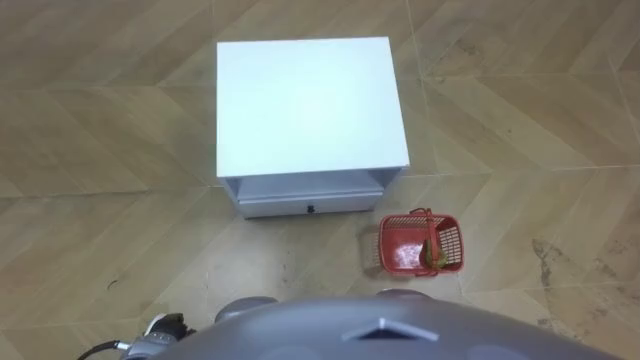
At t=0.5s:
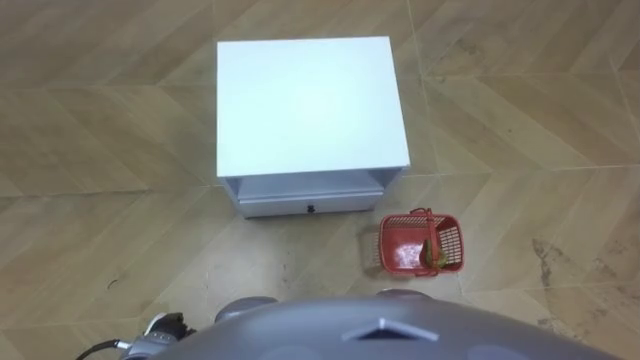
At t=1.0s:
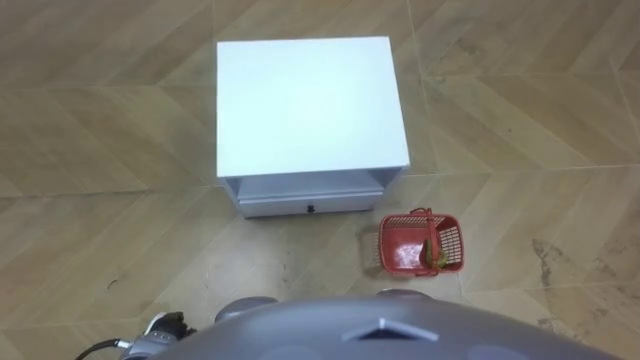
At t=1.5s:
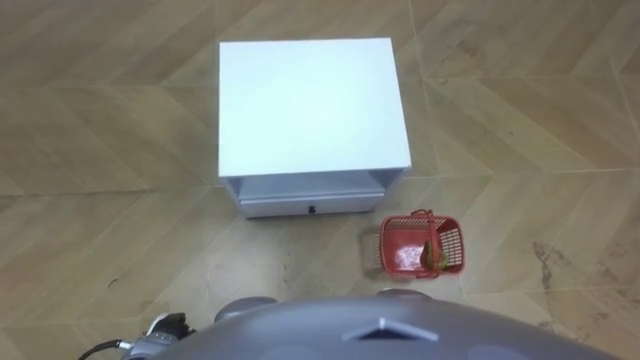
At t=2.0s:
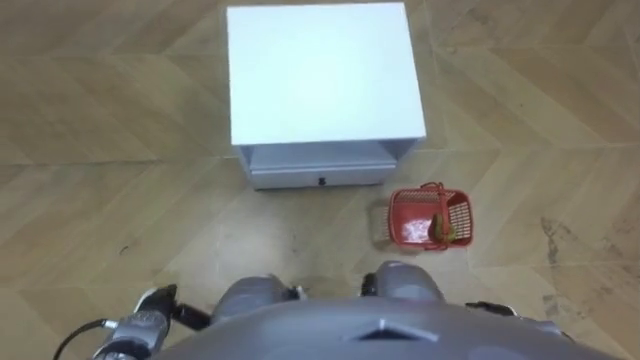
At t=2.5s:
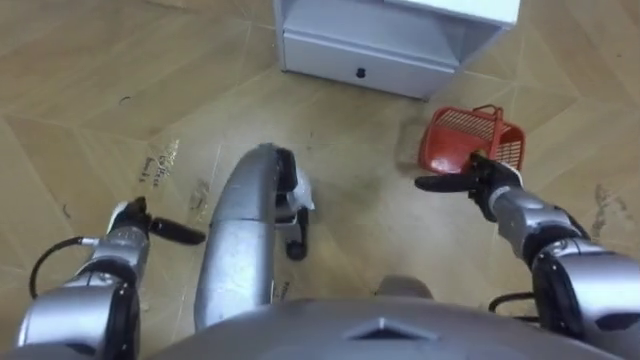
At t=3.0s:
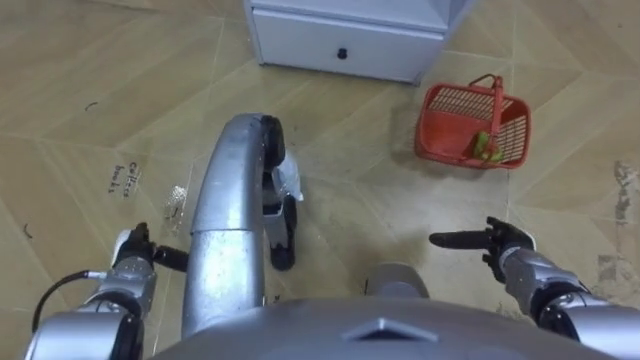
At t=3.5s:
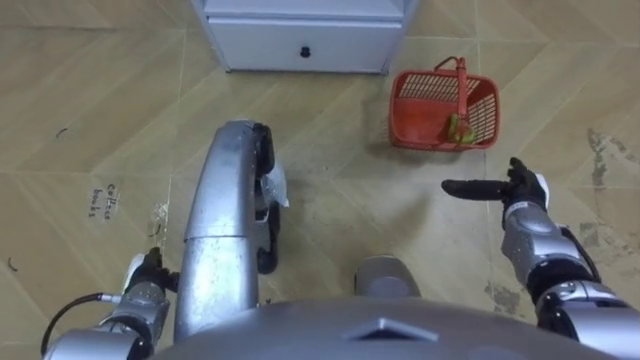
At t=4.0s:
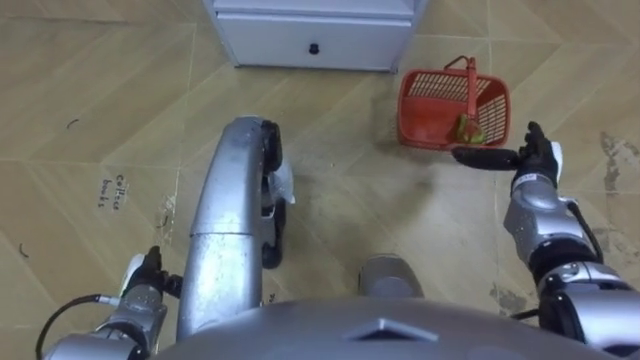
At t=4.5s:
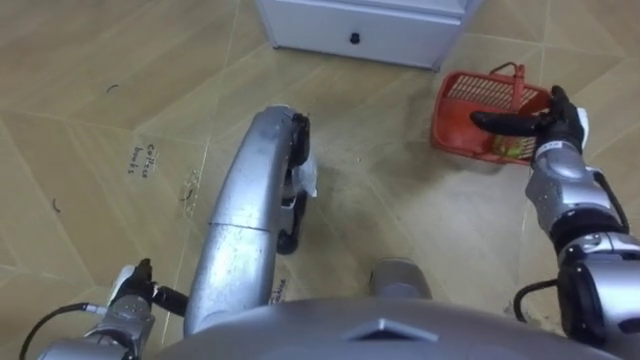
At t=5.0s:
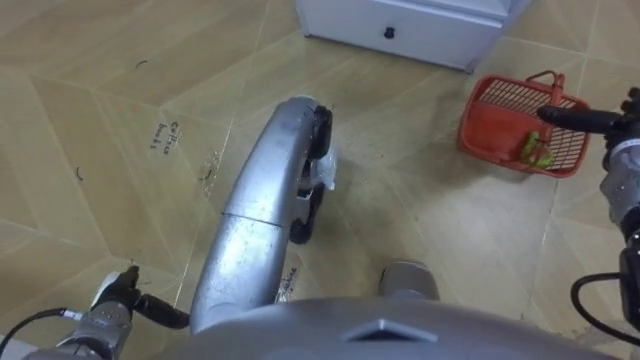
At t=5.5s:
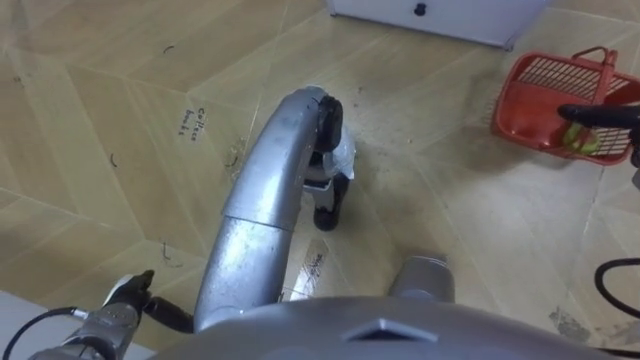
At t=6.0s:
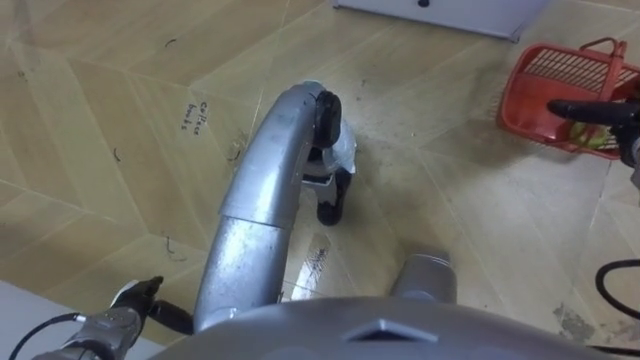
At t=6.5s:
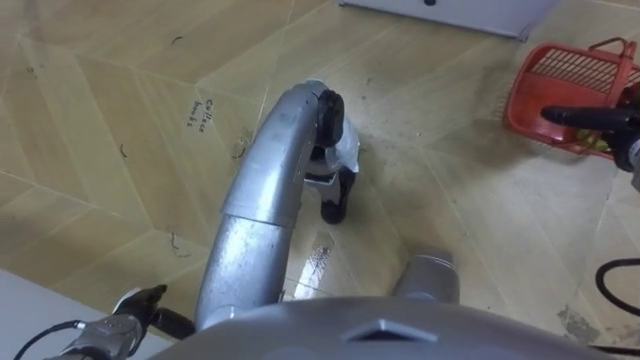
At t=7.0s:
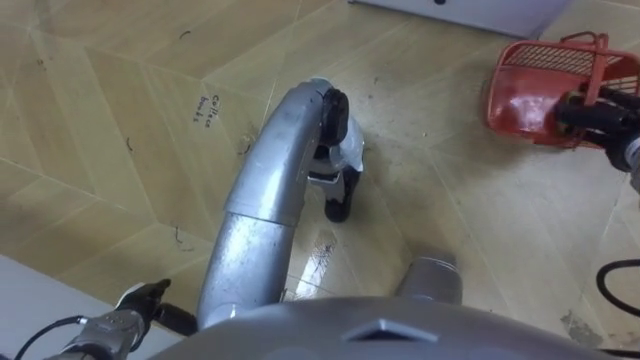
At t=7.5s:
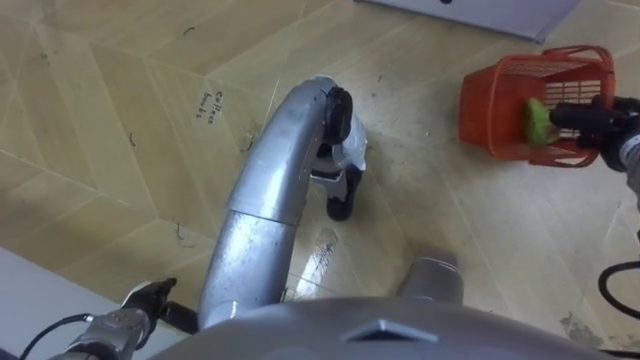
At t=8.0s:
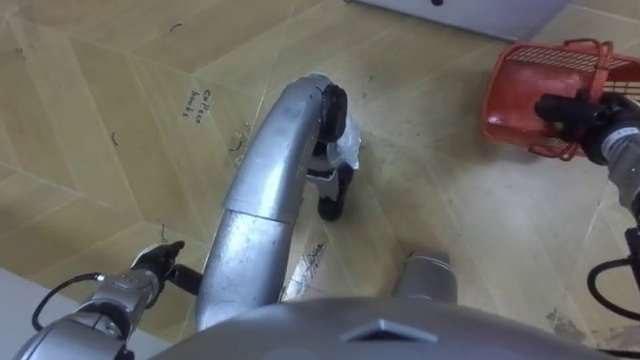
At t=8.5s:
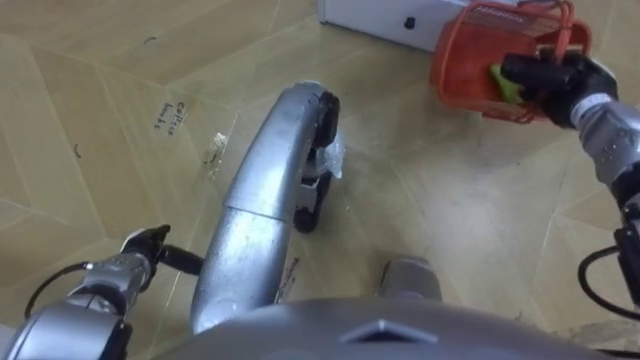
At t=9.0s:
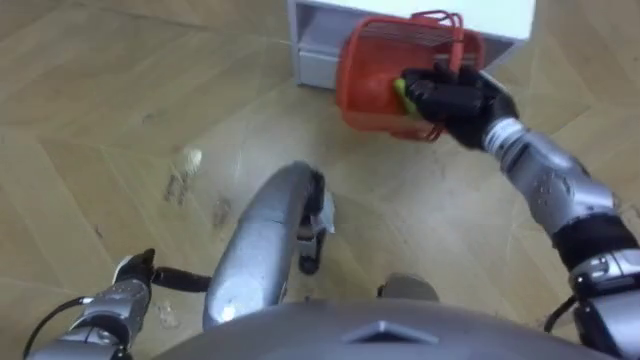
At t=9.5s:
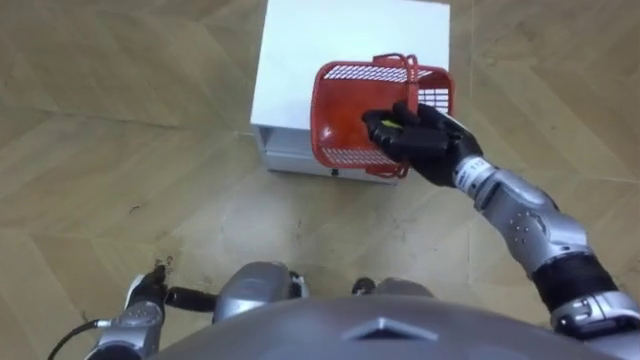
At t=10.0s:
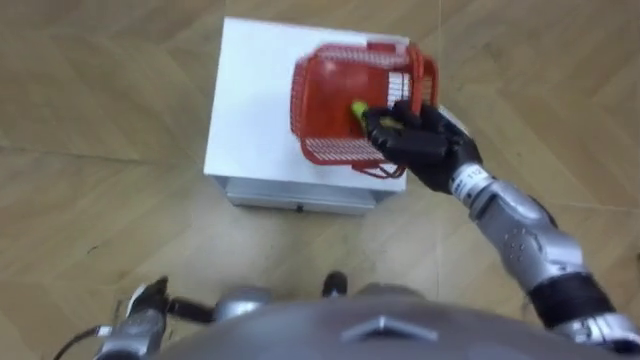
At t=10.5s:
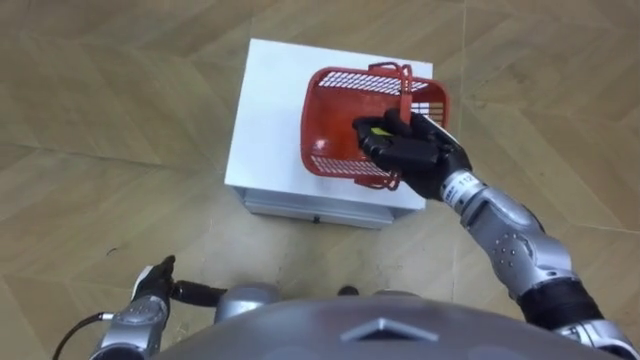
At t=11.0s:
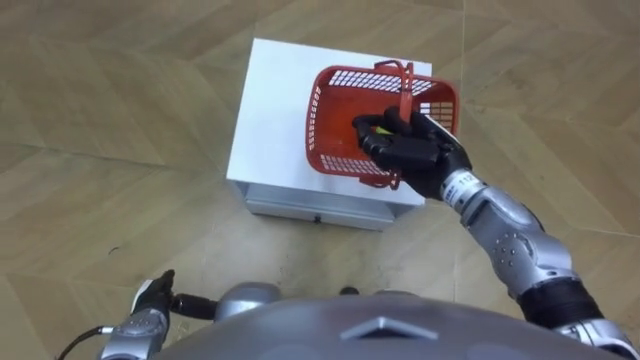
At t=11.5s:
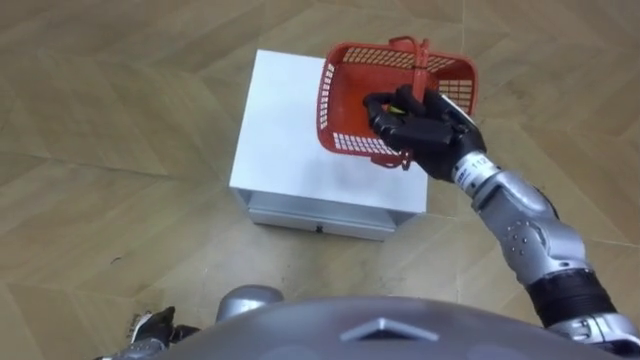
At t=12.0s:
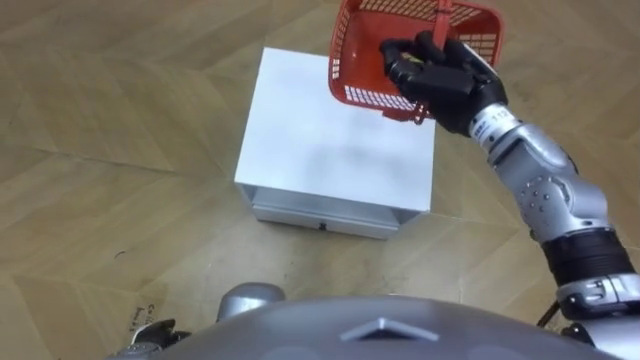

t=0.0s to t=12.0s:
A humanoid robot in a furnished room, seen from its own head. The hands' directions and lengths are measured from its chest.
Task of the whole recording: Pick up the fruit basket from the floor and place it on the cabinet.
t=2.0s to t=4.0s: The left hand travels forward by approximately 5 cm; the right hand moves forward and backward over roughly 20 cm, changing direction 2 times.
t=6.0s to t=8.0s: The left hand is displaced forward by approximately 5 cm. The right hand closes.
t=8.0s to t=10.0s: The left hand goes about 5 cm backward; the right hand travels to the left by approximately 25 cm.
t=10.0s to t=12.0s: The right hand heads upward, covering about 5 cm. Meanwhile the left hand shifts about 5 cm backward.

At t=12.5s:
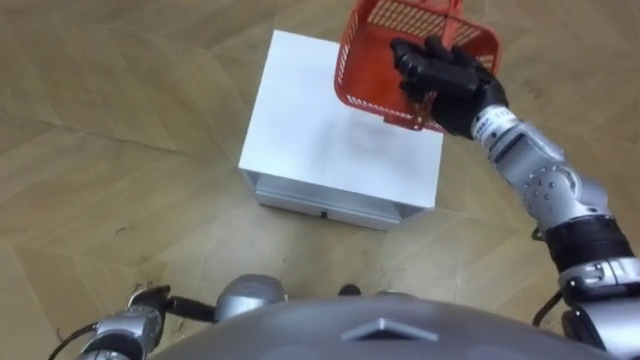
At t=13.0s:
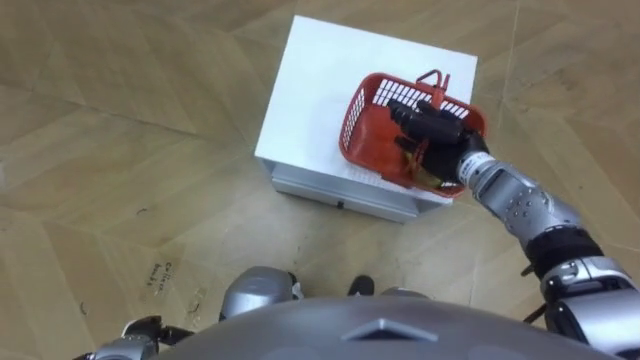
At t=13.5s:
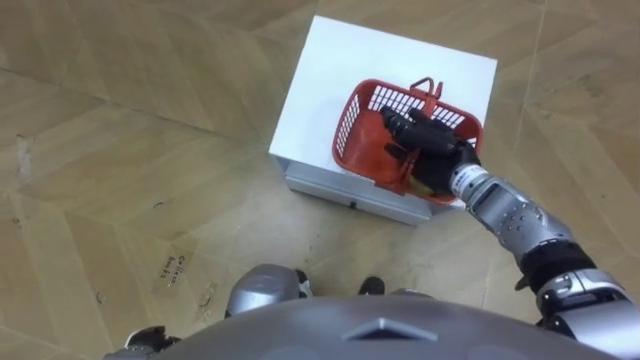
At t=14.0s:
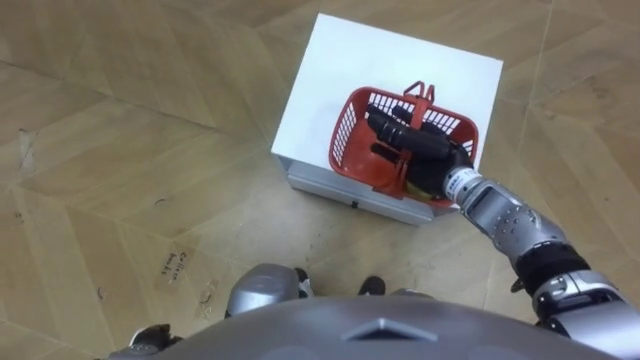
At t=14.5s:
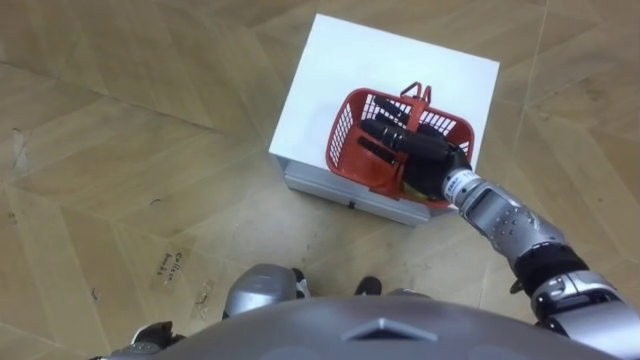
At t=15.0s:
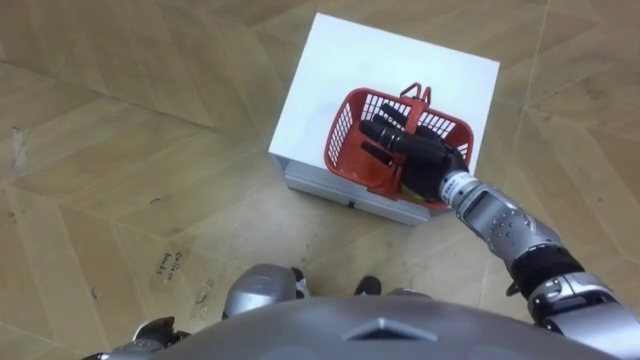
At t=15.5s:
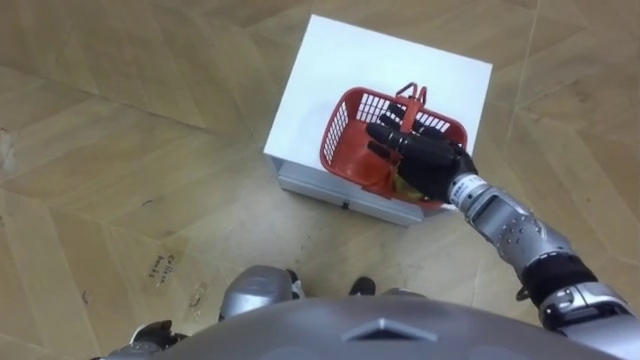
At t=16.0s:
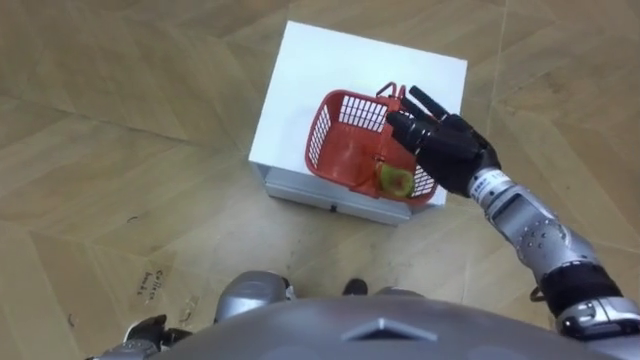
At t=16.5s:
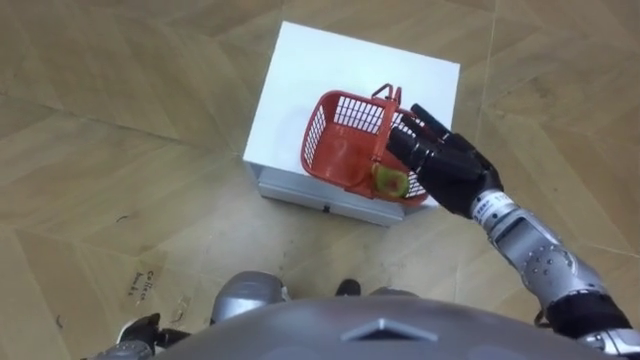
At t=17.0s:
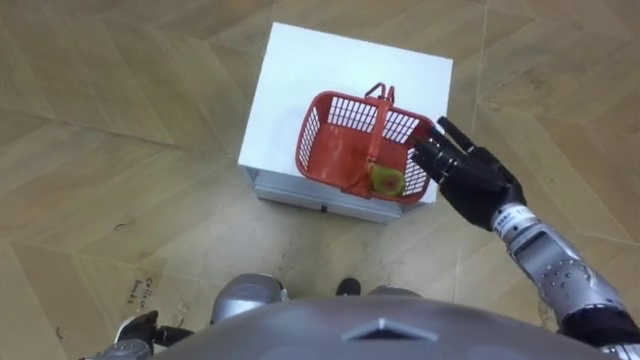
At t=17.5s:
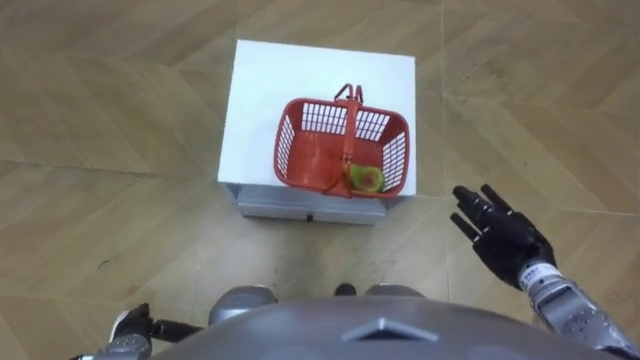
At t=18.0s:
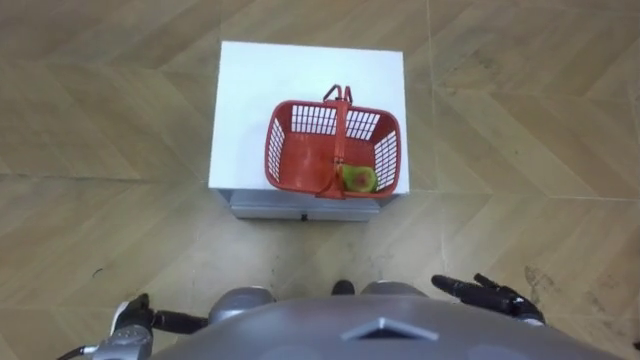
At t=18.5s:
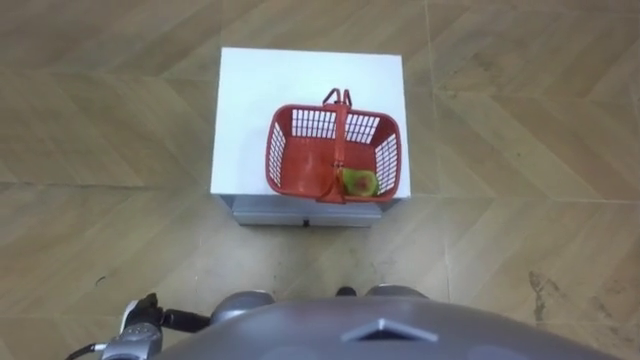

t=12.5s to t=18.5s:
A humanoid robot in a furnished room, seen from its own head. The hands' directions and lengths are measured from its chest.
Task of the whole recording: Pick up the fruit basket from the floor and place it on the cabinet.
t=12.5s to t=14.5s: The right hand heads downward and backward, covering some 10 cm, and opens up; the left hand goes approximately 5 cm backward.
t=16.5s to t=18.5s: The right hand travels backward and downward by approximately 25 cm.

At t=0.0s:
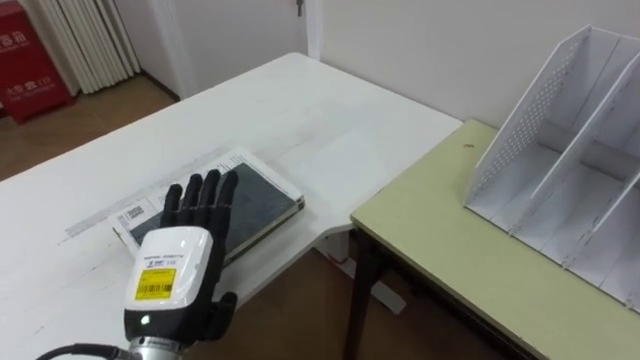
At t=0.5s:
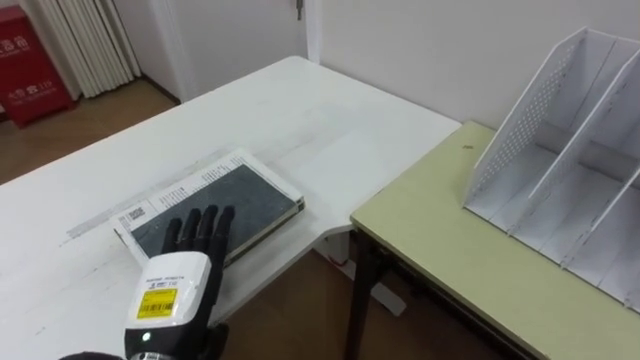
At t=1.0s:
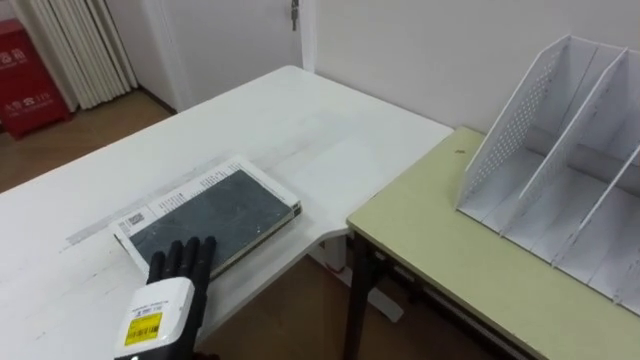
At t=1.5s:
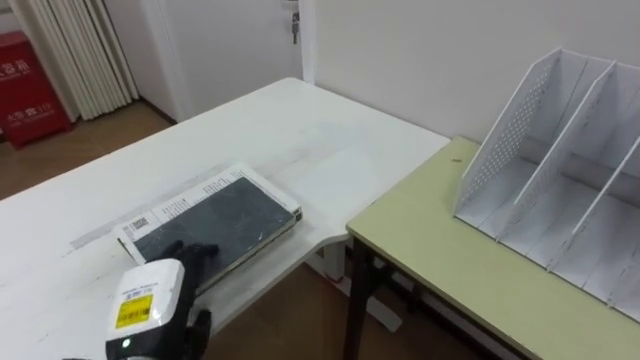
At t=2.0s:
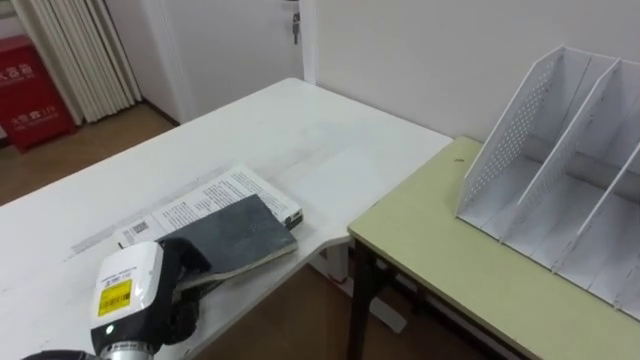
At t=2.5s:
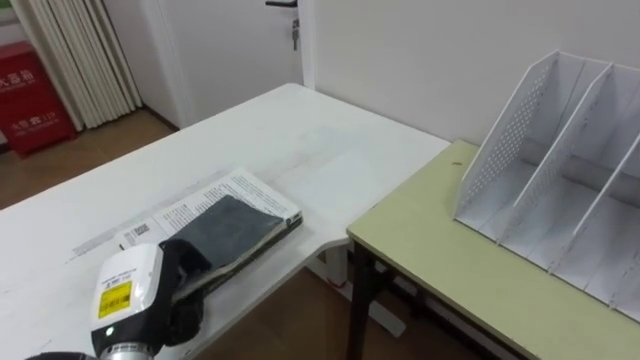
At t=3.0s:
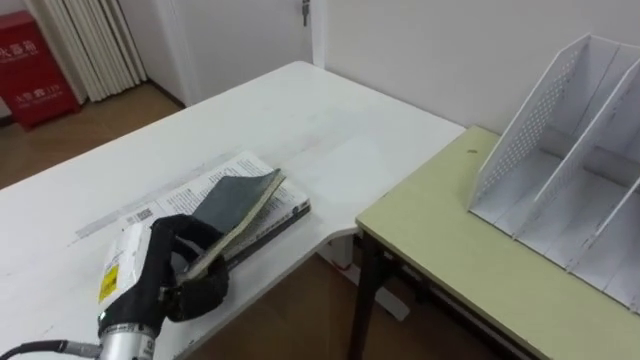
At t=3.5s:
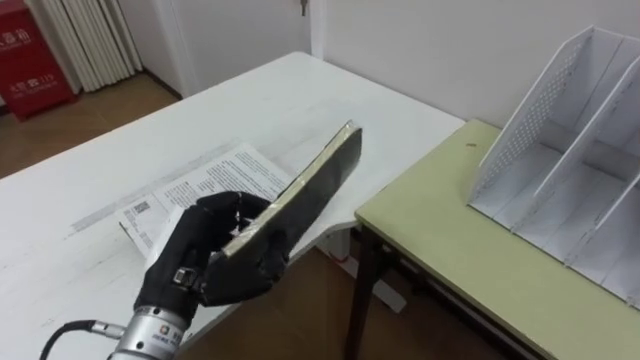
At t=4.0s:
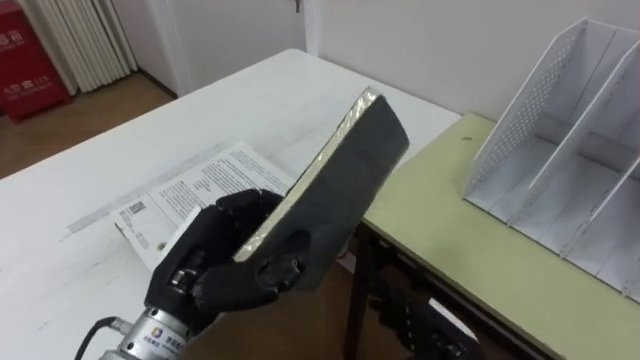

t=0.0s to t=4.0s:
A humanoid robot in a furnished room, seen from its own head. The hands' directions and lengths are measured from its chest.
Task of the whole recording: Put the books on the table onto the bookshelf.
t=0.0s to t=2.0s: The left hand goes approximately 5 cm to the left, and closes up.
t=2.0s to t=4.0s: The left hand is displaced to the right and upward by about 10 cm.
